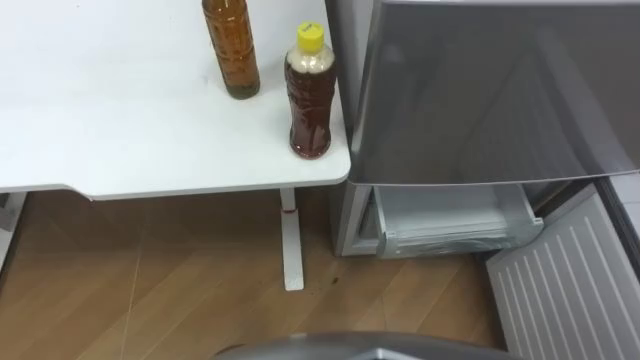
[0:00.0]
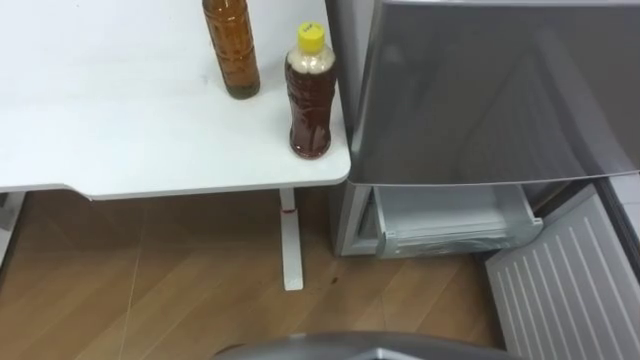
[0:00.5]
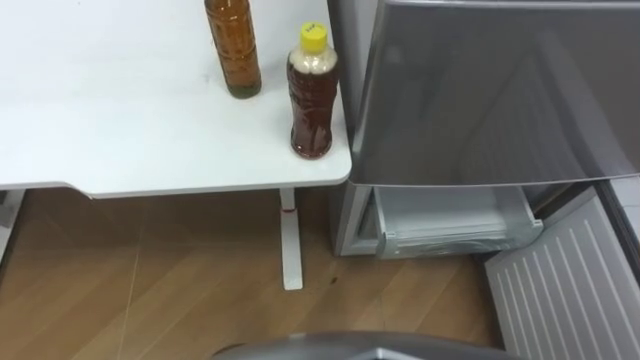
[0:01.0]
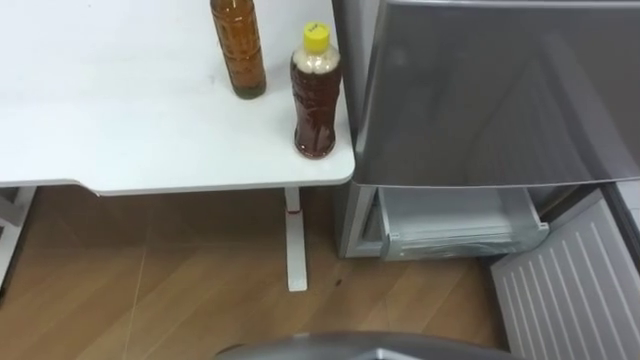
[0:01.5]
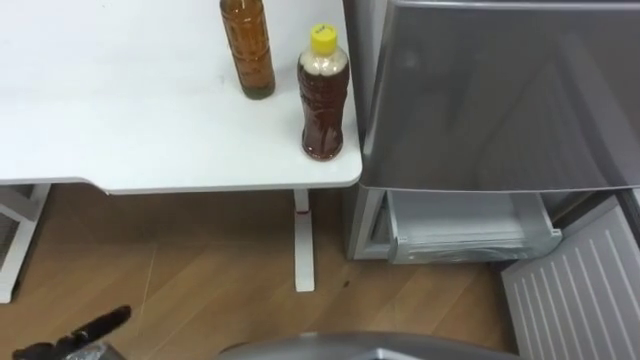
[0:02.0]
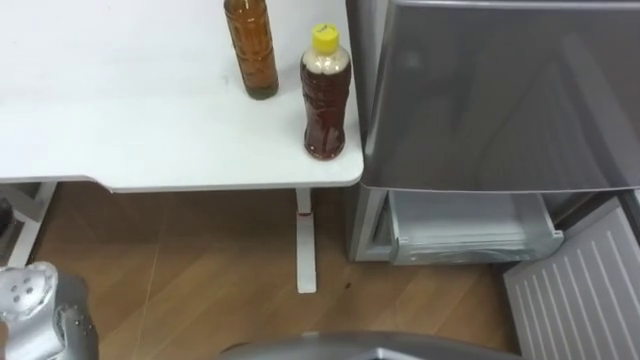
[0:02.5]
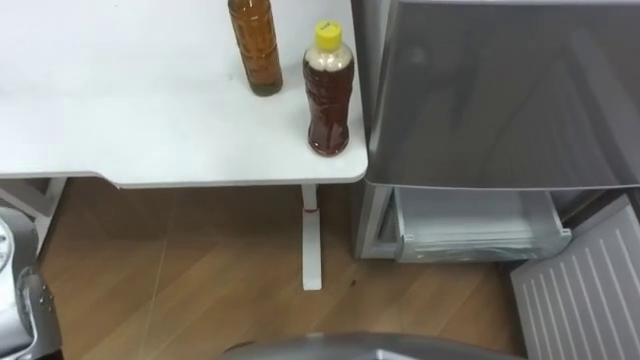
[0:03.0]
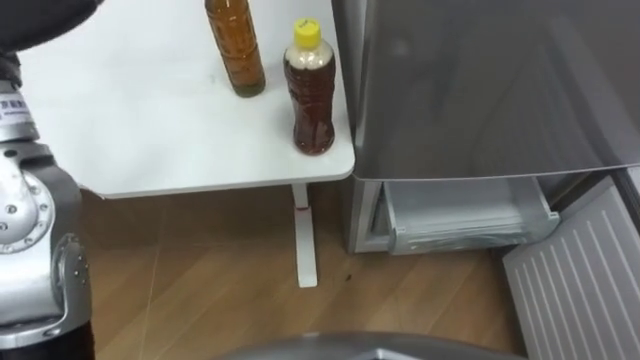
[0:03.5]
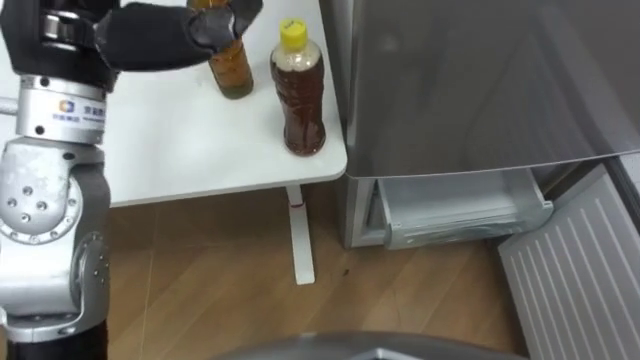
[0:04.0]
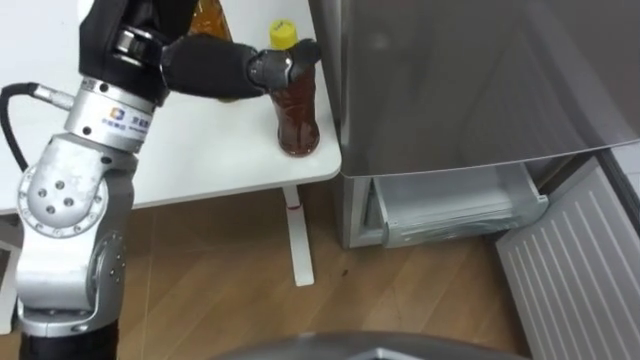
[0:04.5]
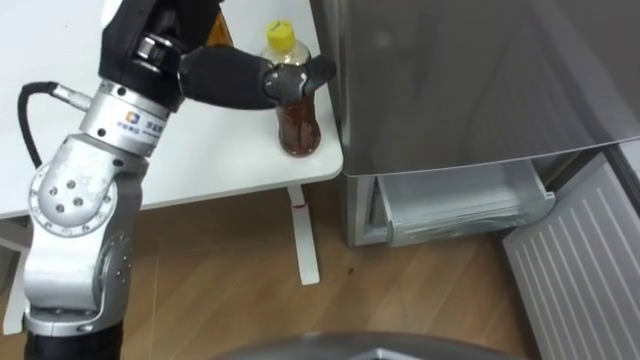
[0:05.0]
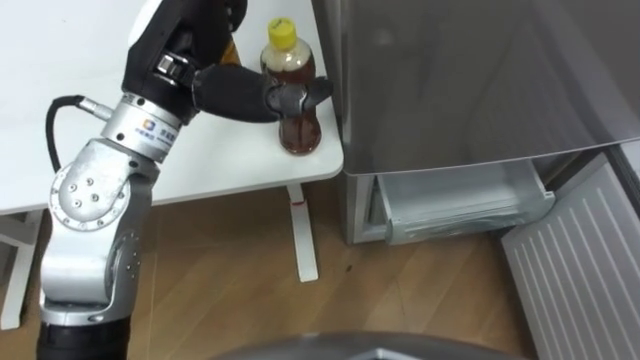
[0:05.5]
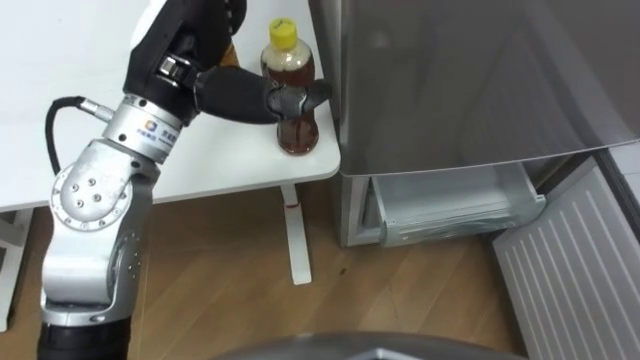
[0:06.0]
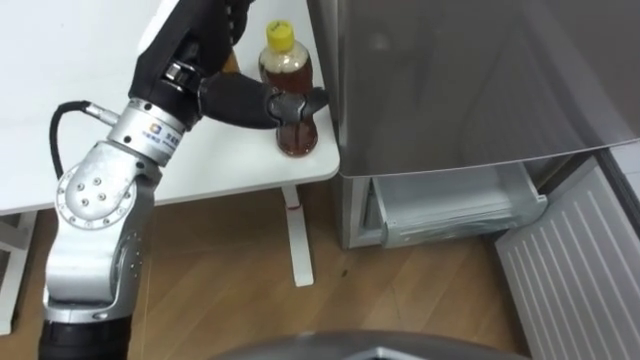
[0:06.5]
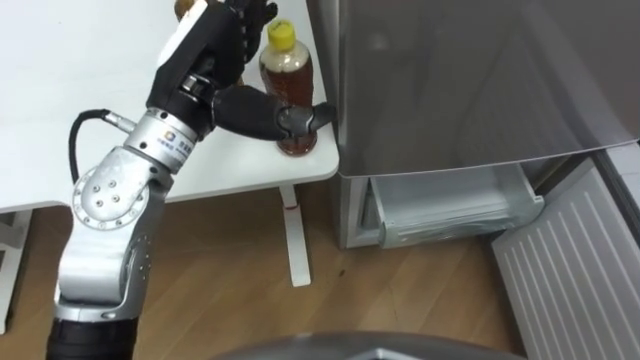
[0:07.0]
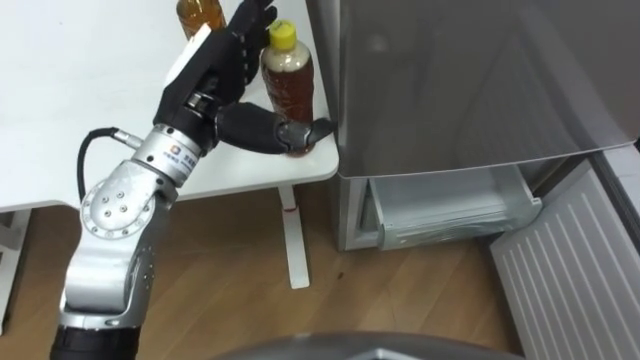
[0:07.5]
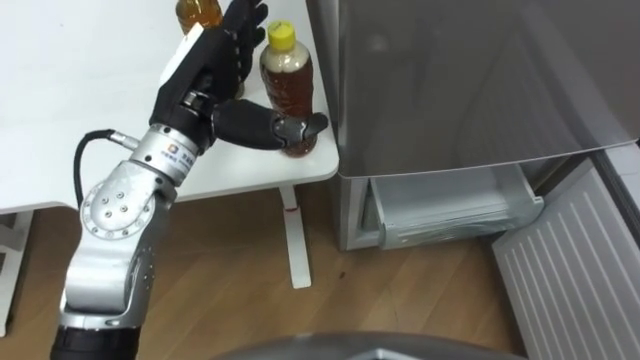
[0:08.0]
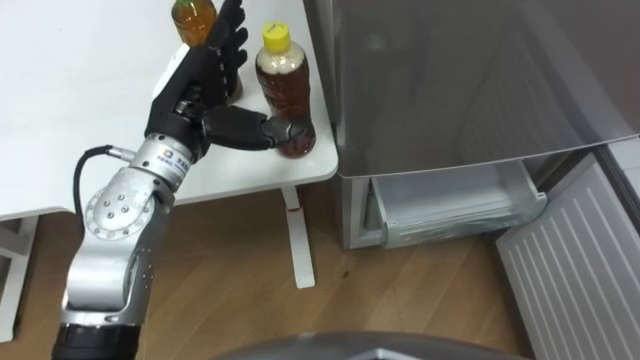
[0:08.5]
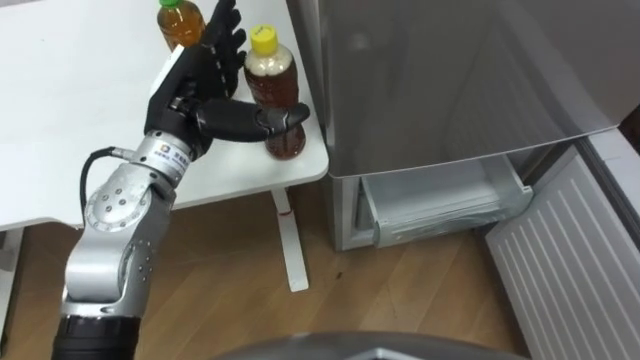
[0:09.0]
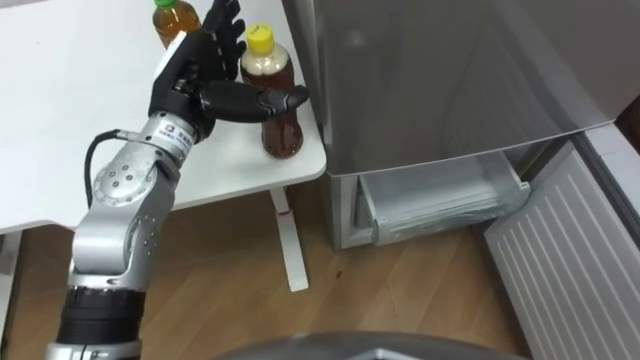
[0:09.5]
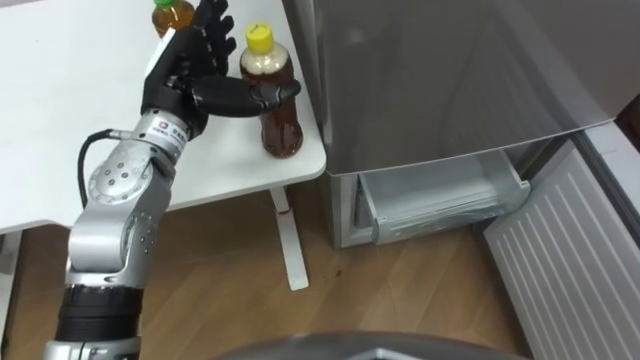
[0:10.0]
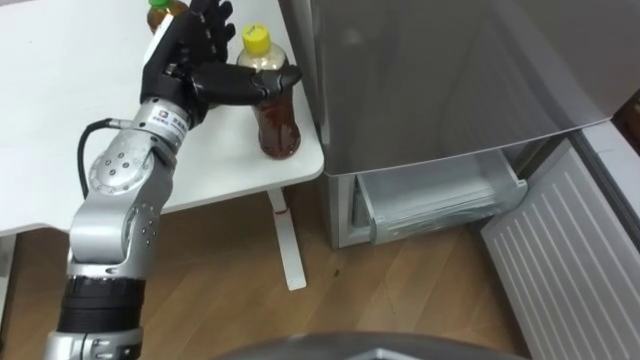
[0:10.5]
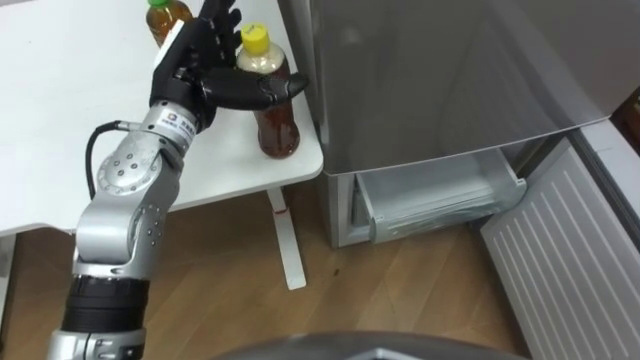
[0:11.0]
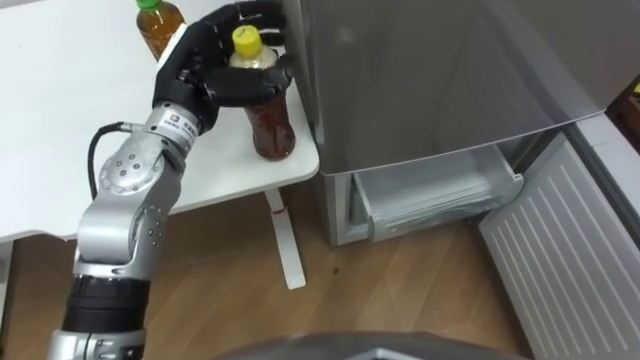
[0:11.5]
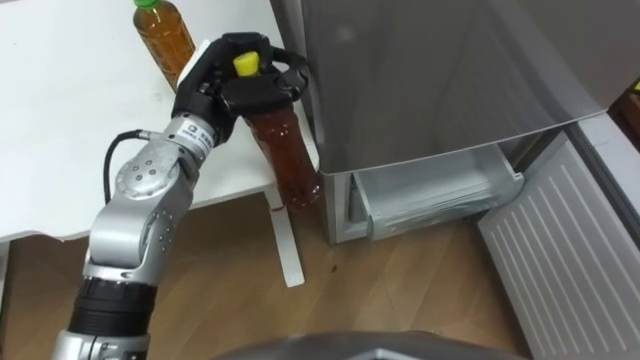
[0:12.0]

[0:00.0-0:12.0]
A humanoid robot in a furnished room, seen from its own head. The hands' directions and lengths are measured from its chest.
Task of the whole recording: Place the drink on the table on the bottom shelf of the refrigerator, then close the drawer and the refrigerator door.
0:04.0 to 0:06.0: The left hand is displaced to the right and downward by approximately 10 cm.
0:06.0 to 0:08.0: The left hand goes roughly 5 cm downward.
0:08.0 to 0:10.0: The left hand moves approximately 5 cm.
0:10.0 to 0:12.0: The left hand closes.

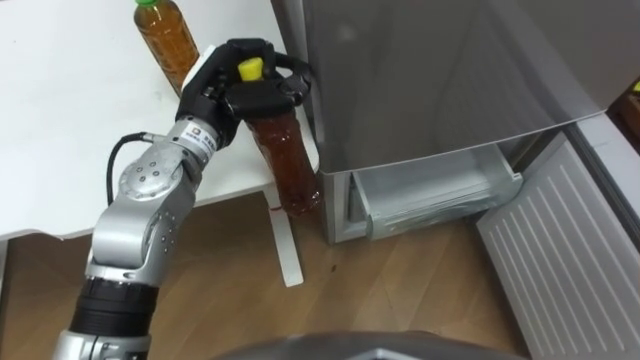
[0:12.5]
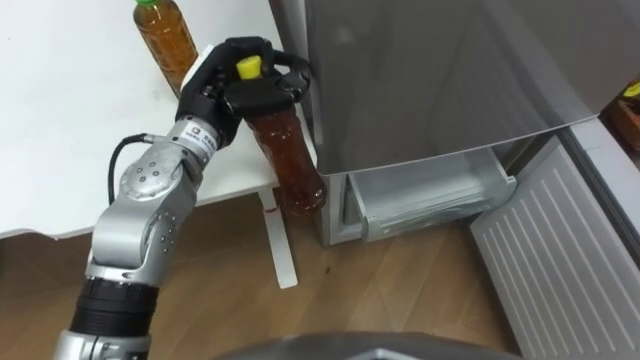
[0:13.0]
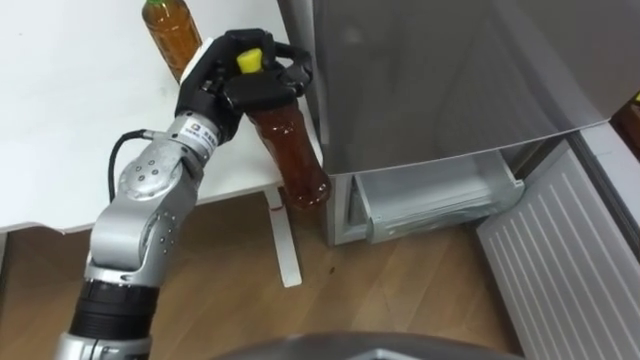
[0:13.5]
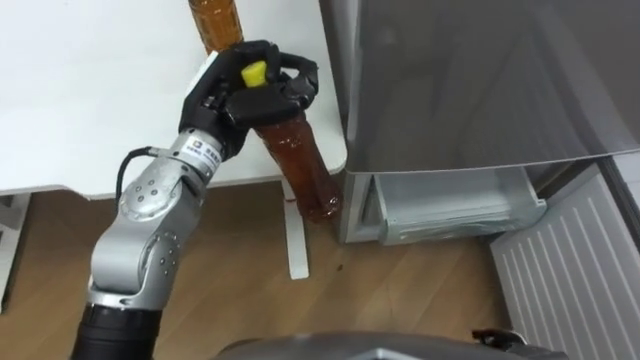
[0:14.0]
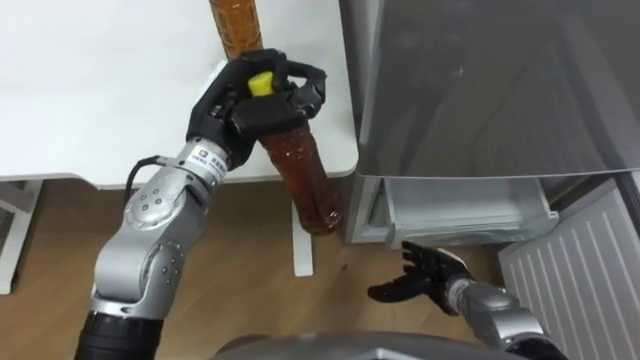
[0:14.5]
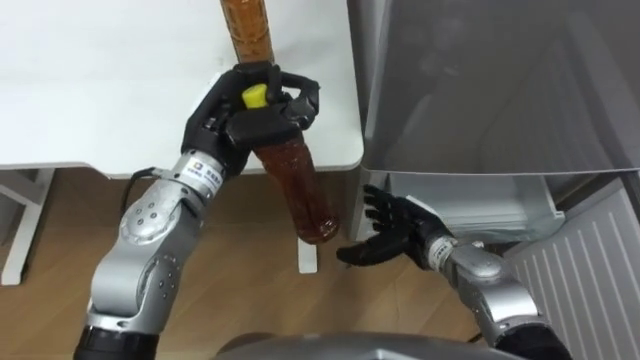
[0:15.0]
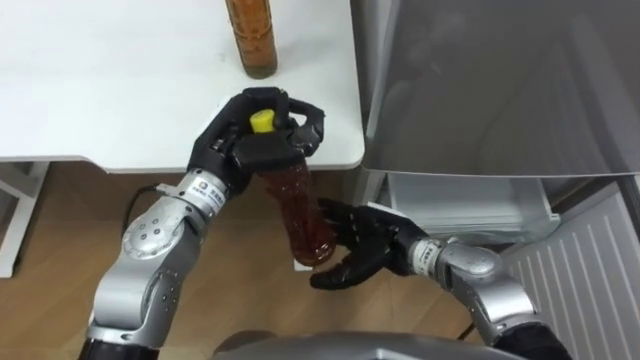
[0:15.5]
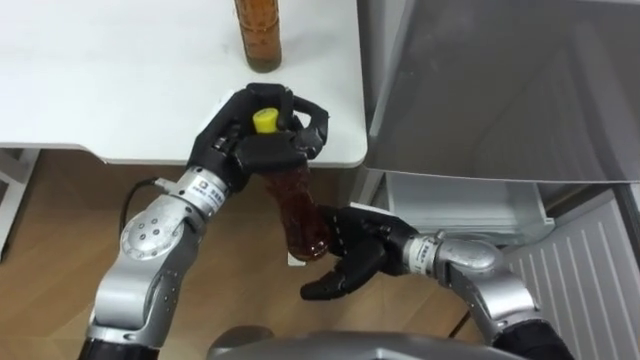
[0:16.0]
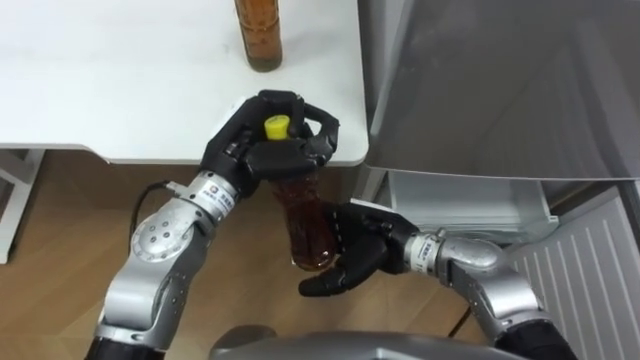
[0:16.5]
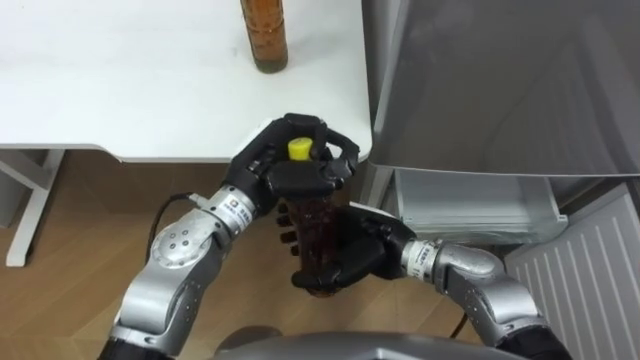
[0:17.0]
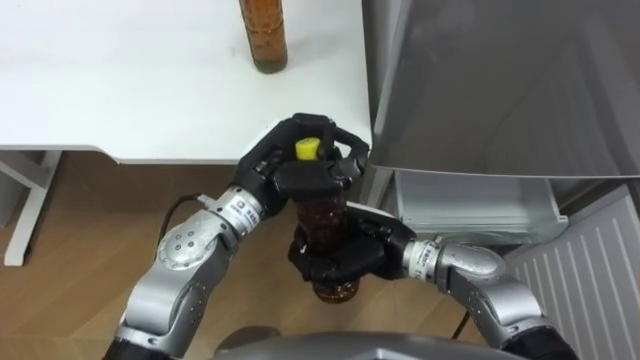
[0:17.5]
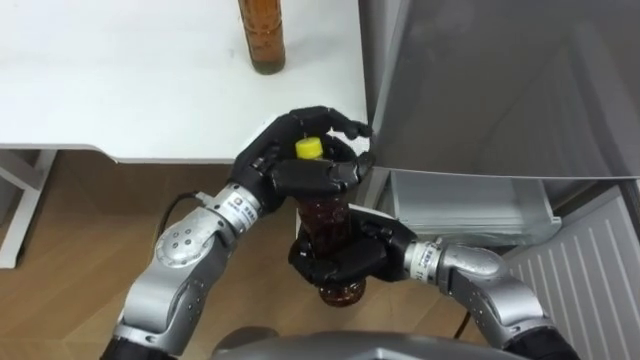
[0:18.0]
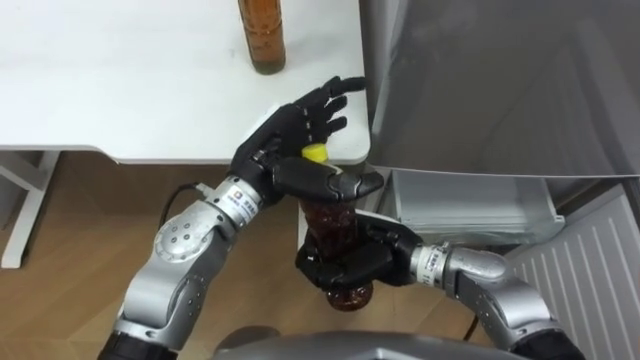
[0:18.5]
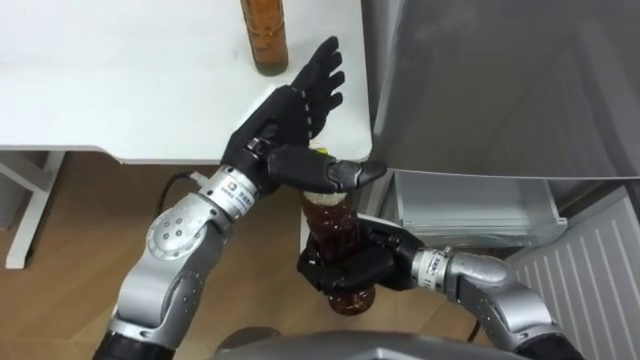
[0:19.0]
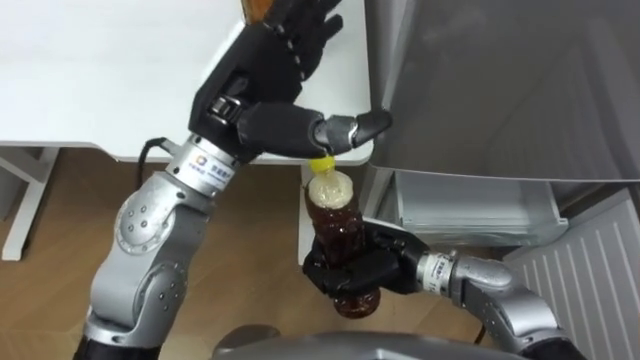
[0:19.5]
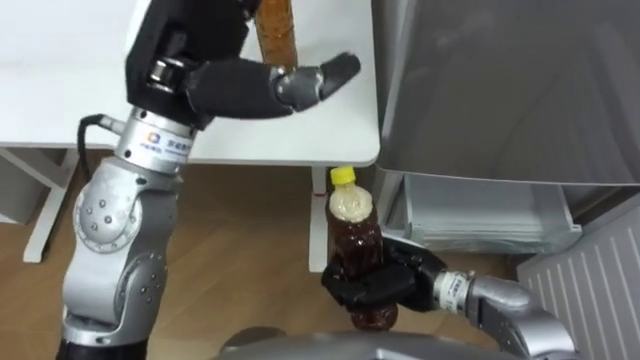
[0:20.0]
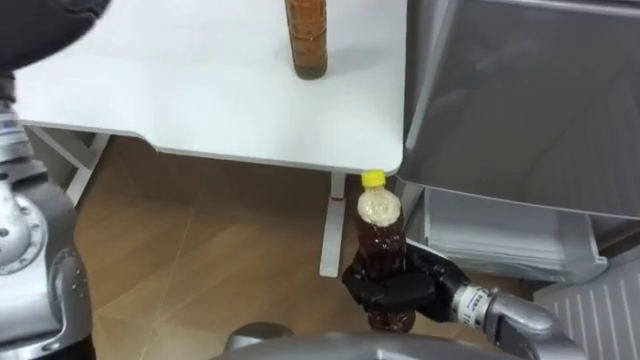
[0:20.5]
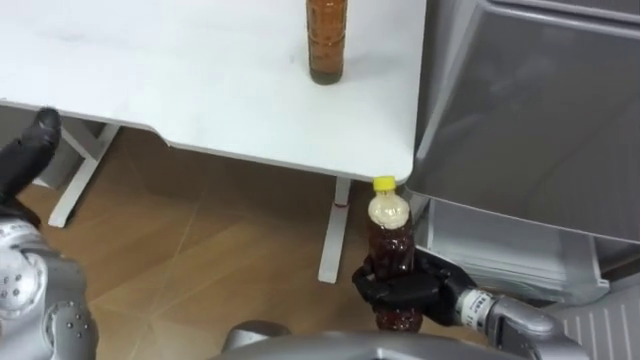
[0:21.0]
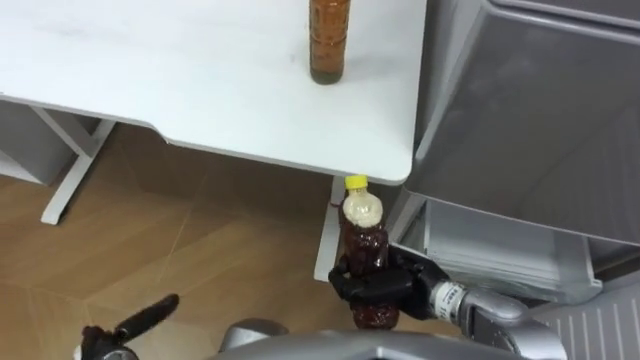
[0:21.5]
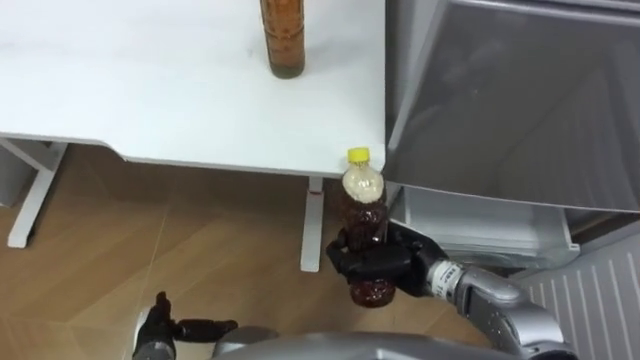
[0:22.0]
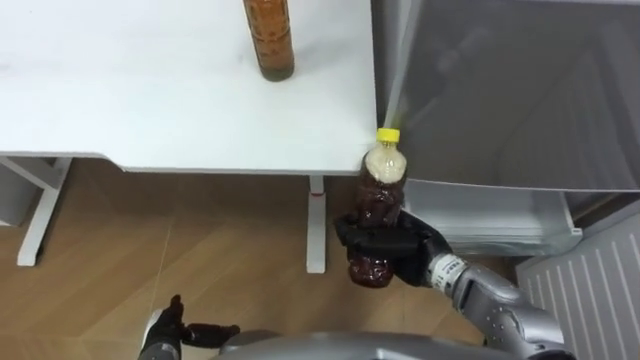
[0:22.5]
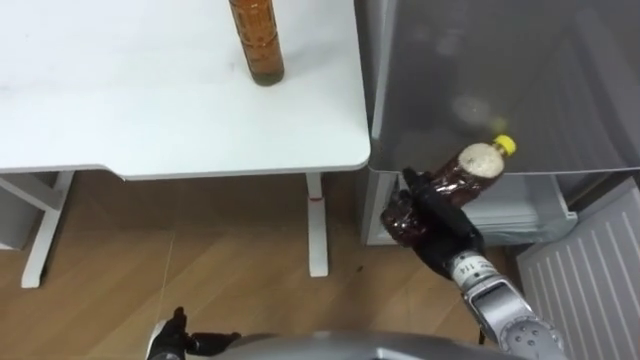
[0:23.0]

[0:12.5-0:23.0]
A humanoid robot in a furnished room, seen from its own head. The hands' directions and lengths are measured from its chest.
Task of the whole recording: Place the drink on the table on the bottom shelf of the refrigerator, then close the drawer and the refrigerator door.
0:14.5 to 0:16.5: The right hand shifts about 15 cm upward and to the left.
0:16.5 to 0:19.0: The right hand closes its fingers. Meanwhile the left hand opens.
0:19.0 to 0:21.0: The right hand heads to the right, covering roughly 10 cm.
0:21.0 to 0:23.0: The right hand is displaced forward by about 5 cm.
